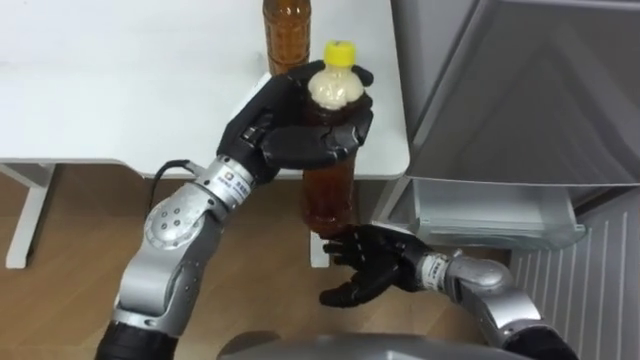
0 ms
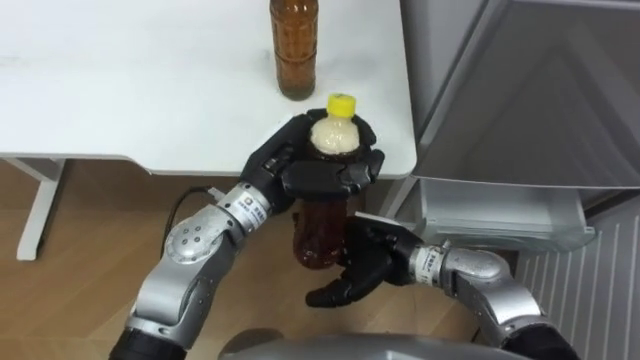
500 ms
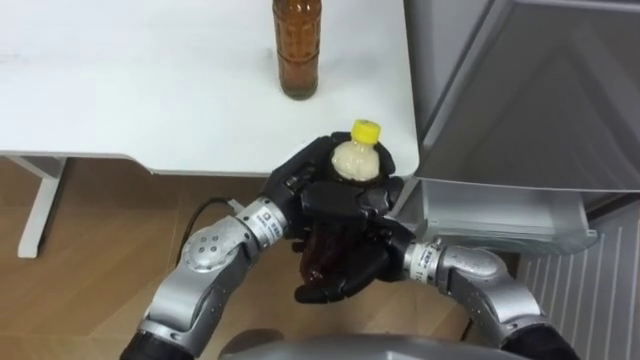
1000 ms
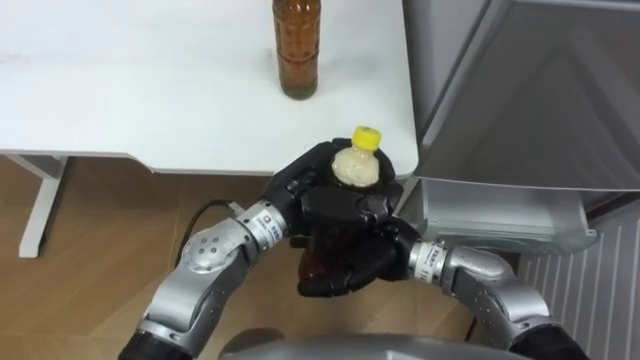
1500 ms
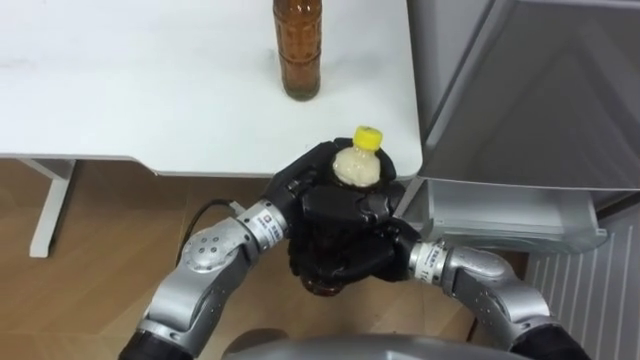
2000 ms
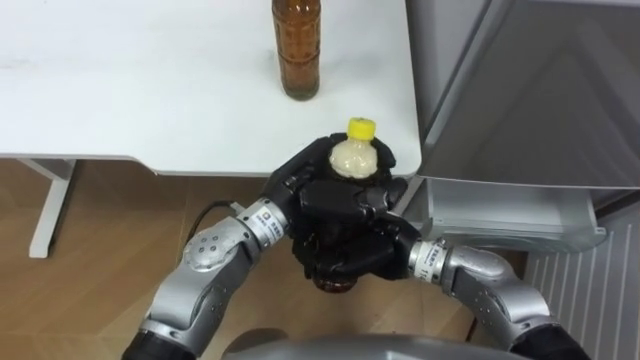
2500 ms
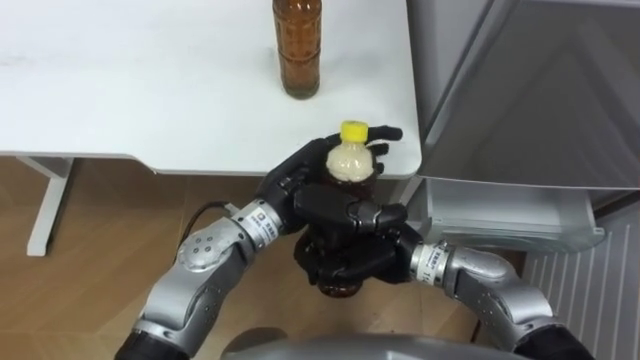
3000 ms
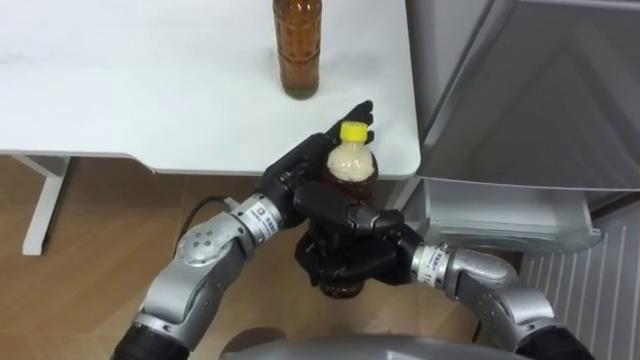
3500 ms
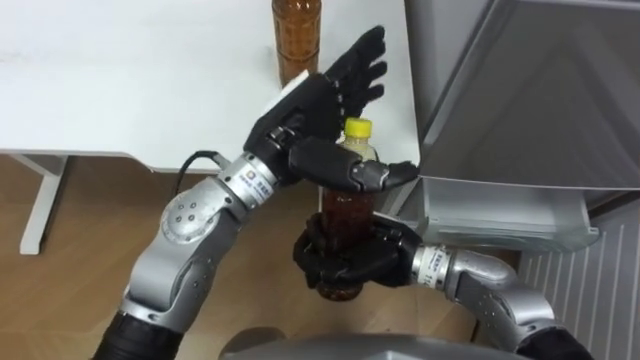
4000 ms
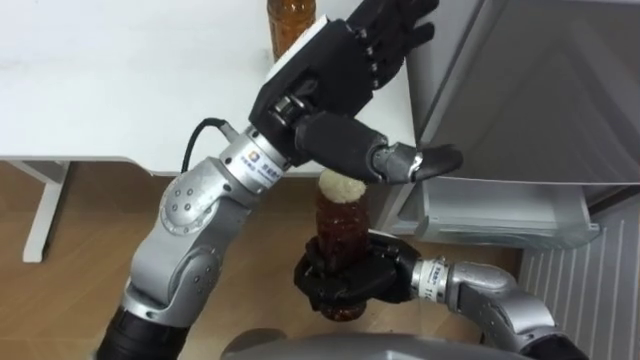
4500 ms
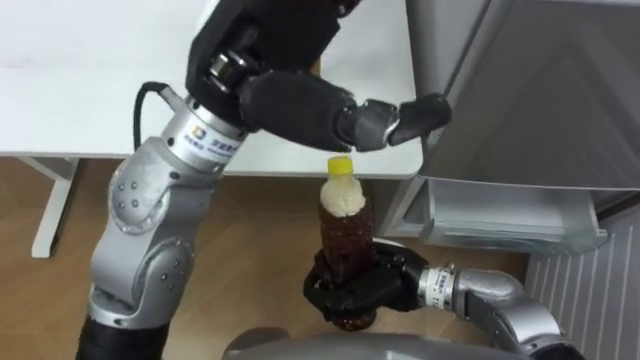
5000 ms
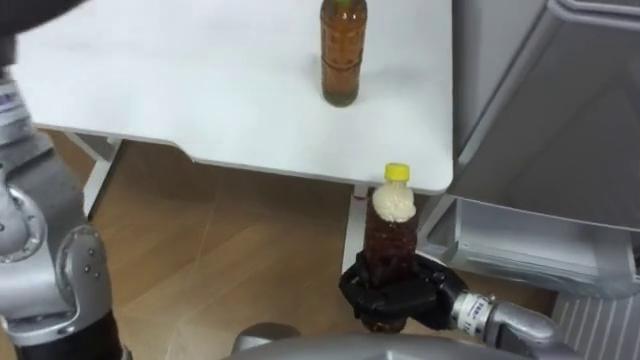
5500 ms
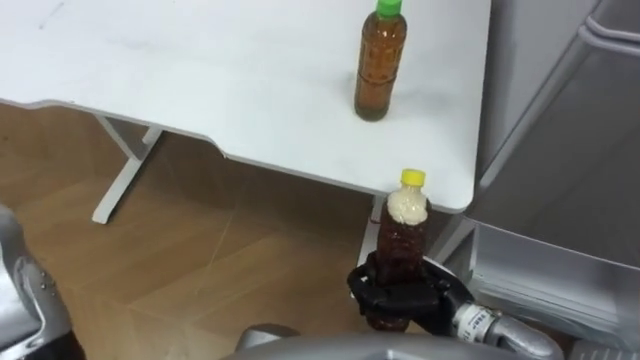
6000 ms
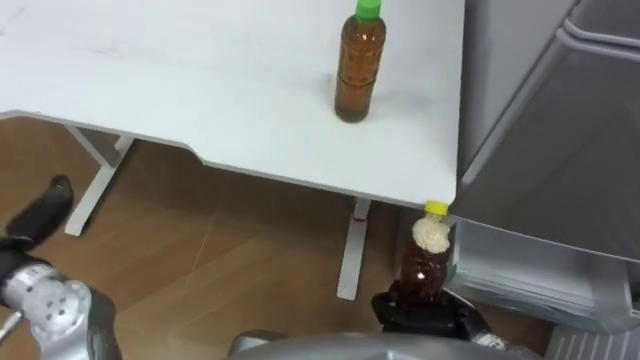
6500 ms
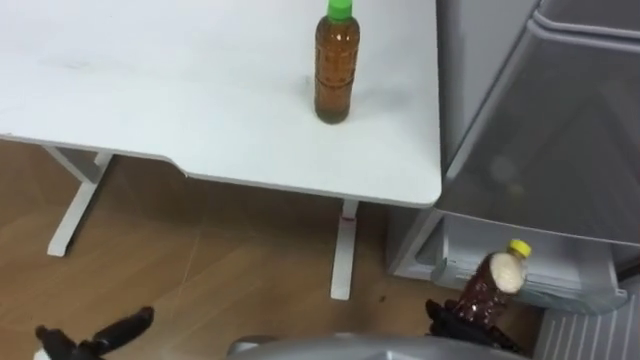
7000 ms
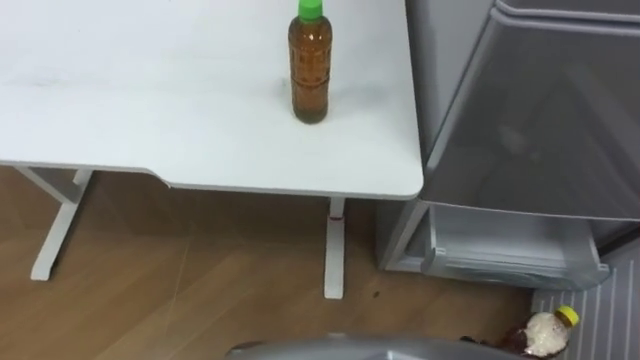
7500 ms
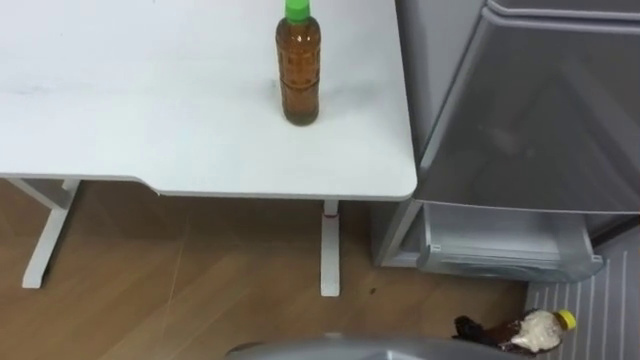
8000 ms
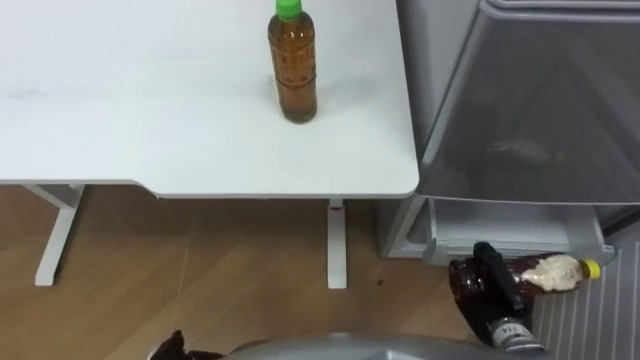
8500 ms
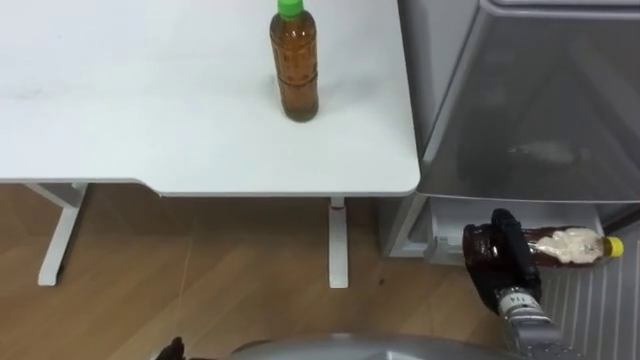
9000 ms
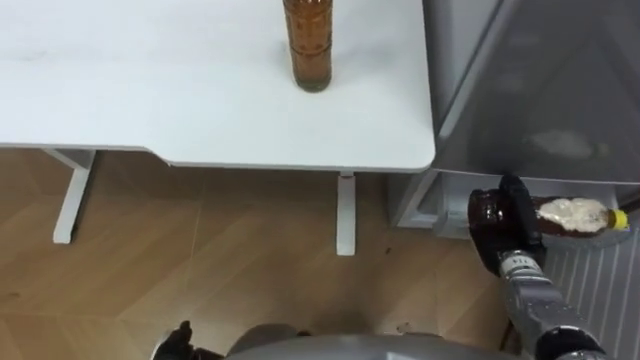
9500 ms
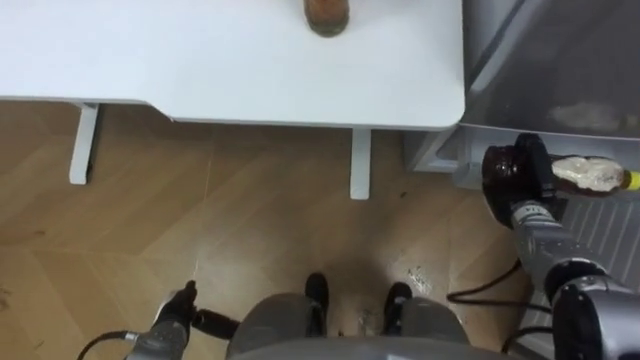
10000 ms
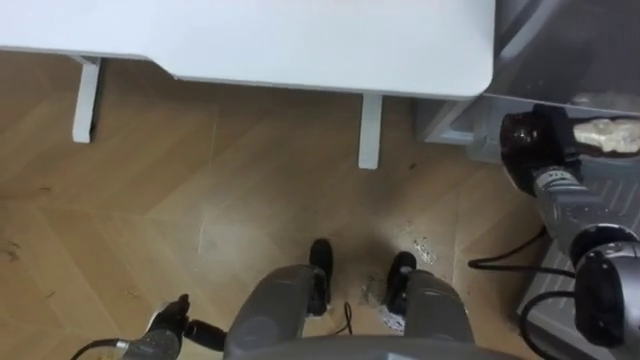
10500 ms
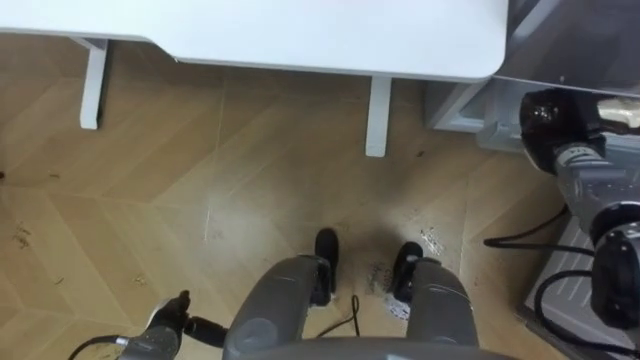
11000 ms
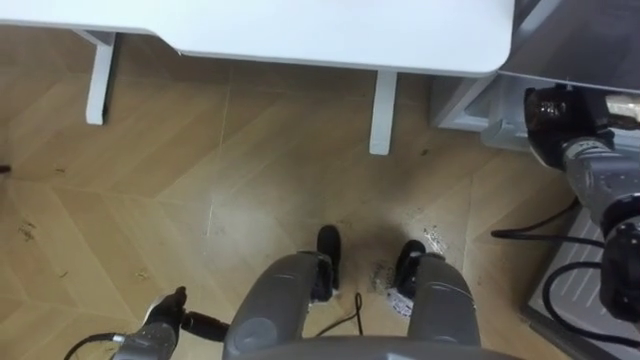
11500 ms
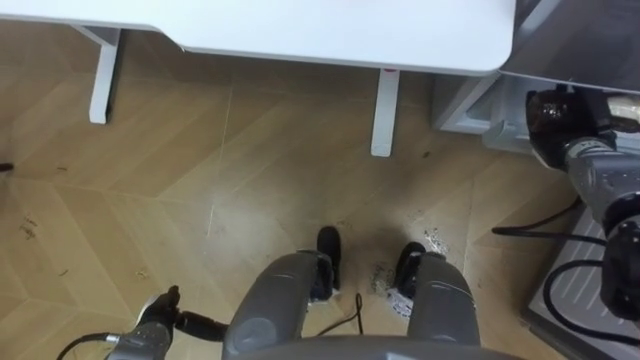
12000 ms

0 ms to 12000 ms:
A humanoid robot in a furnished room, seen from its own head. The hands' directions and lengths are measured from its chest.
Task of the whole recording: Place the drink on the table on the bottom shelf of the refrigerator, then close the drawer and the refrigerator door.
0 ms to 2000 ms: The left hand goes roughly 5 cm downward; the right hand travels upward by about 5 cm, and closes its fingers.
2000 ms to 4000 ms: The left hand goes some 5 cm upward, and opens its fingers.
4000 ms to 6000 ms: The right hand goes some 10 cm to the right and downward.
10000 ms to 12000 ms: The right hand heads upward, forward and to the right, covering approximately 10 cm.

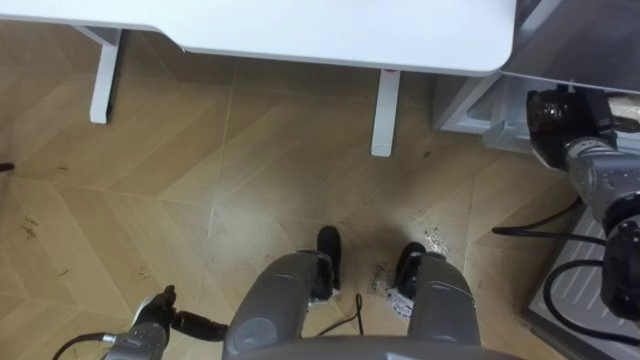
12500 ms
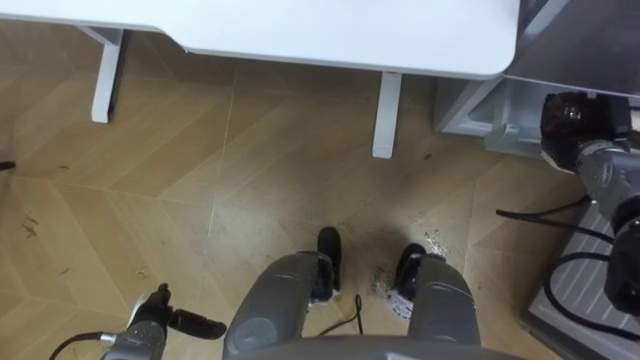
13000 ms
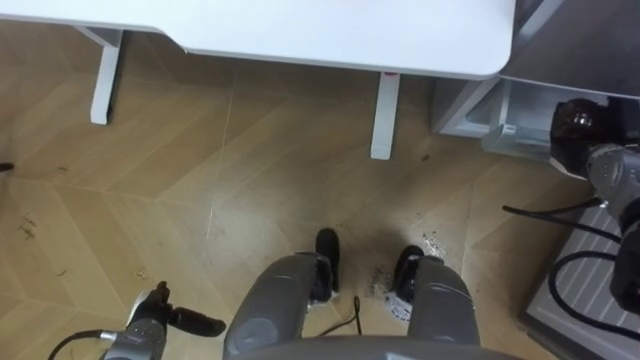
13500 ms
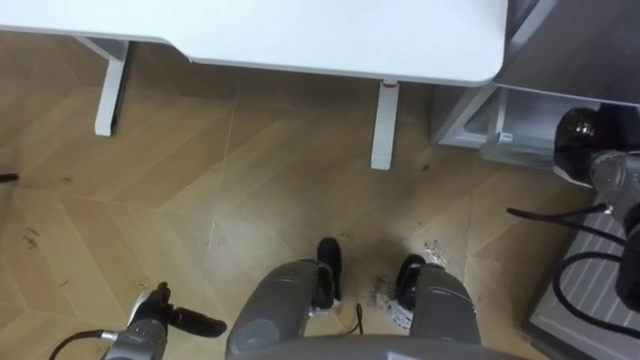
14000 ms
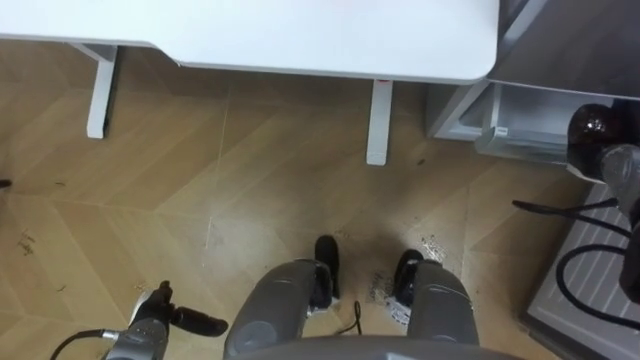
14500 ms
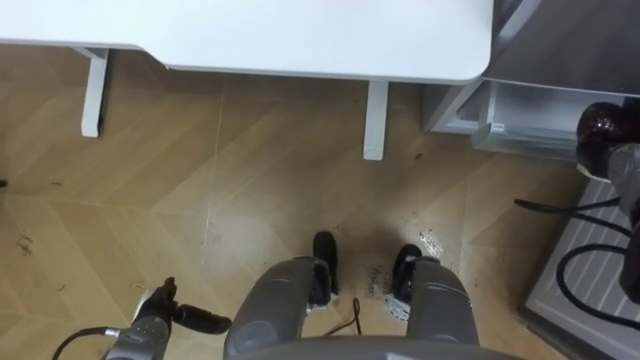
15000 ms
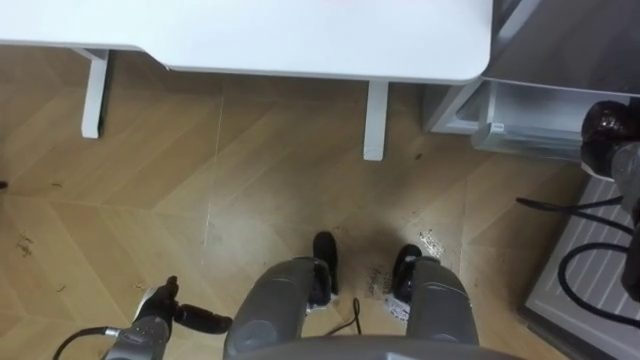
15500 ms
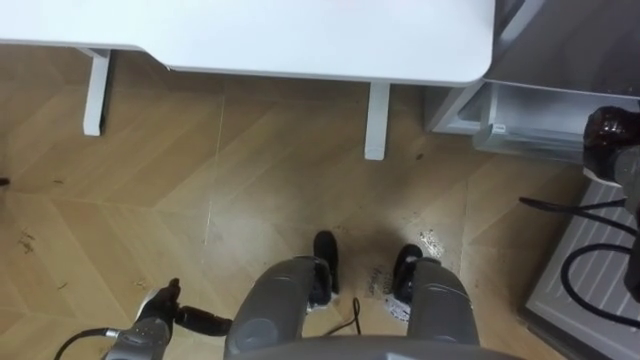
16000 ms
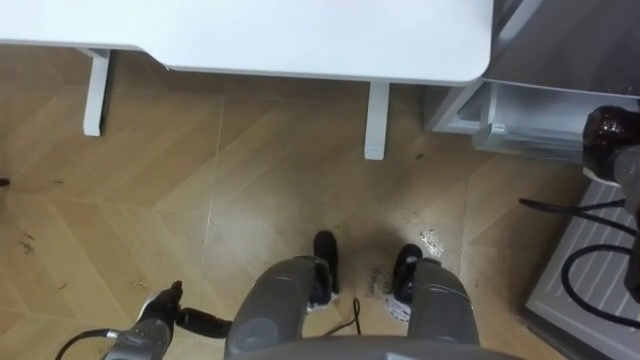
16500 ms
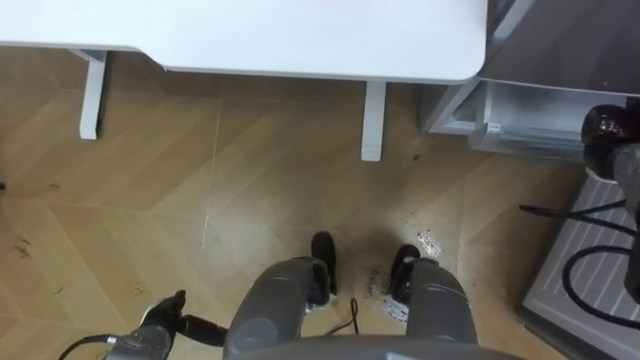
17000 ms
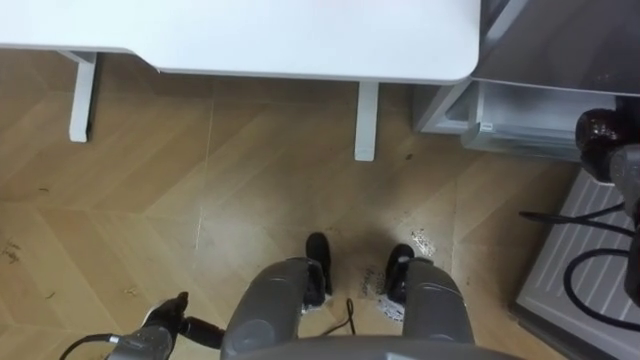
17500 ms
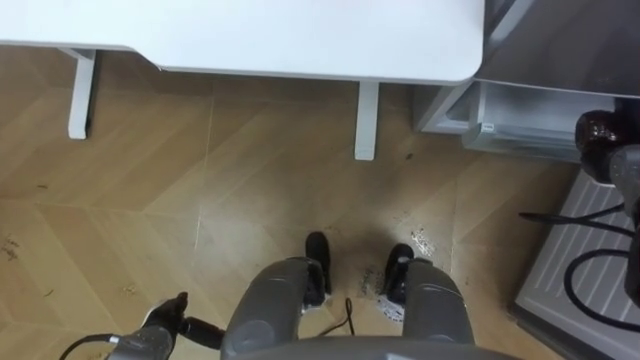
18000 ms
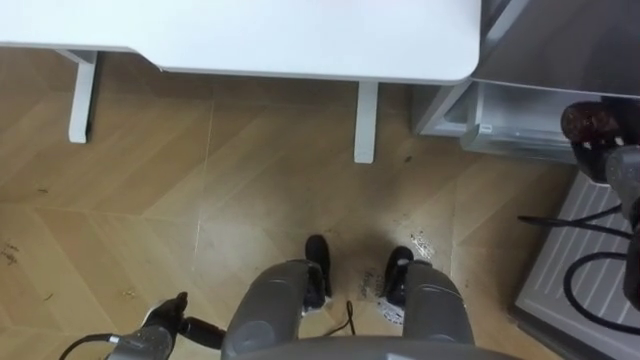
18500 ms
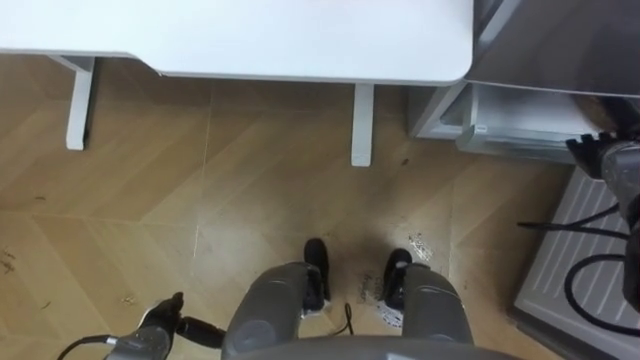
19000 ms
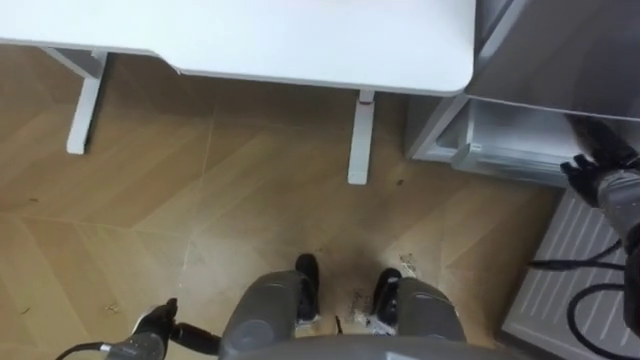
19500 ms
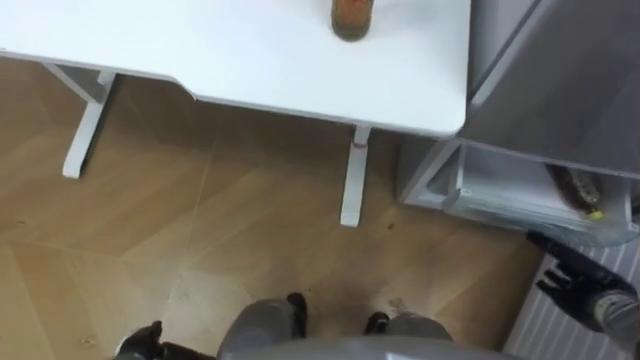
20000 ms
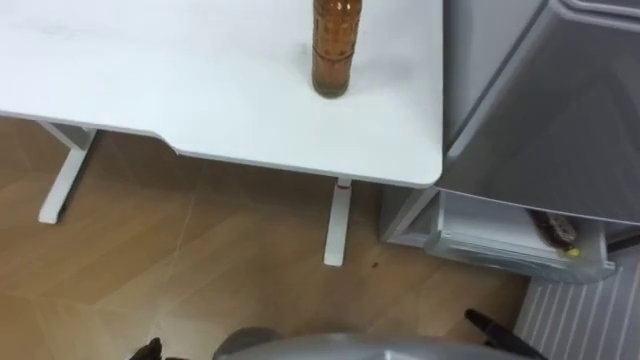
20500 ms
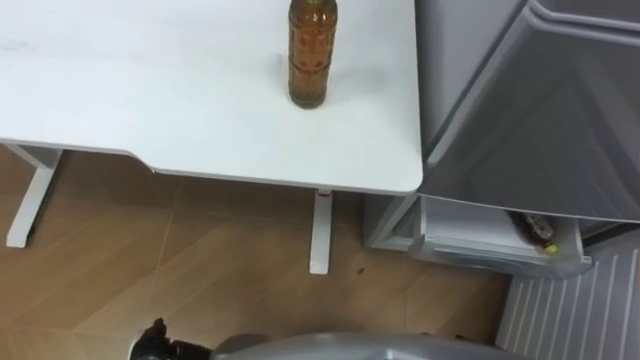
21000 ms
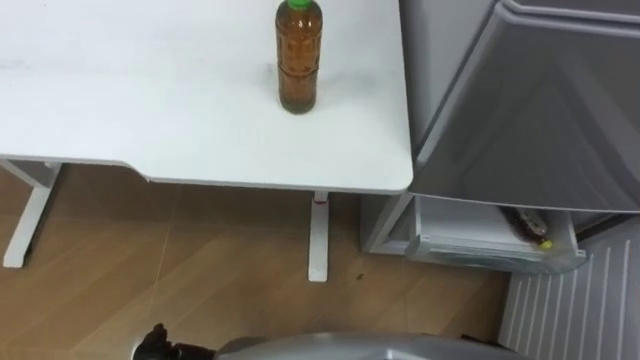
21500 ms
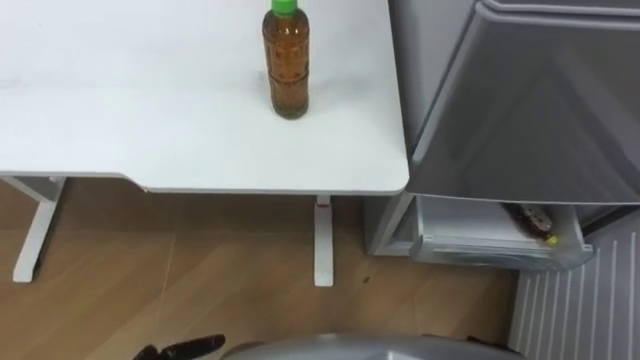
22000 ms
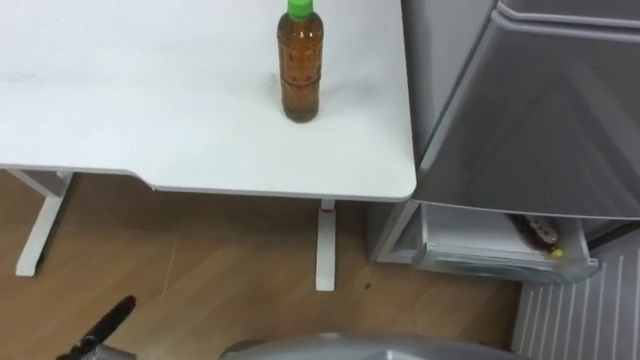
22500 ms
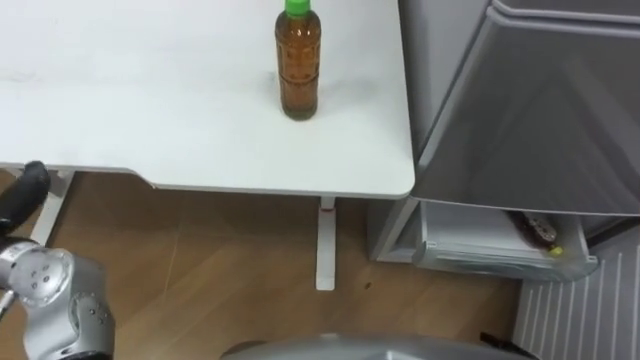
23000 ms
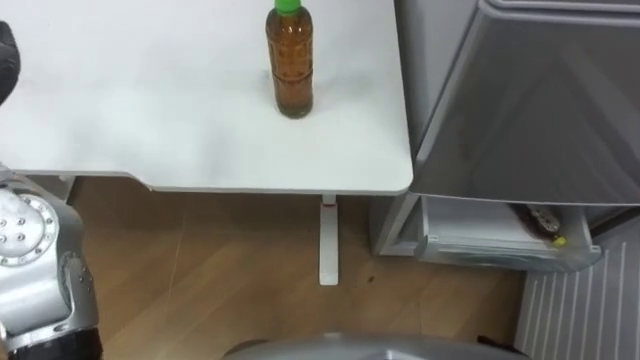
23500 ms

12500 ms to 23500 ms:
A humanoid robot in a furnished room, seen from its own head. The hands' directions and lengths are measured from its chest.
Task of the whole recording: Place the drink on the table on the bottom shelf of the refrigerator, then close the drawer and the refrigerator door.
12500 ms to 14500 ms: The right hand ends up about 5 cm from where it was.
14500 ms to 18000 ms: The hands make only small movements.
18000 ms to 20000 ms: The right hand shifts some 20 cm backward and downward, and opens its fingers.
